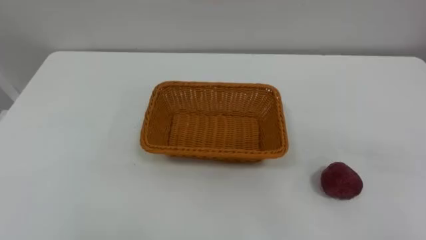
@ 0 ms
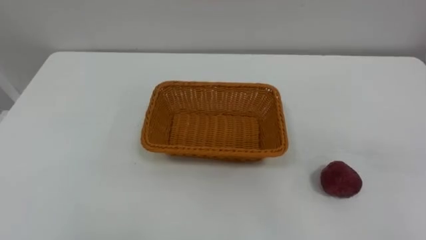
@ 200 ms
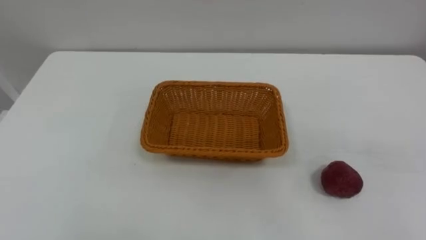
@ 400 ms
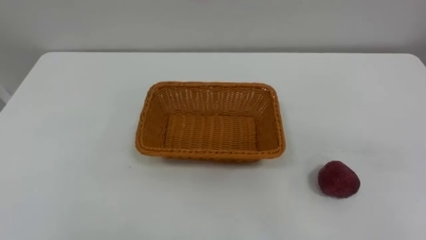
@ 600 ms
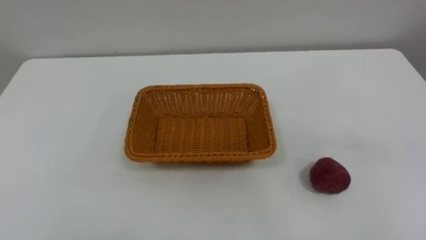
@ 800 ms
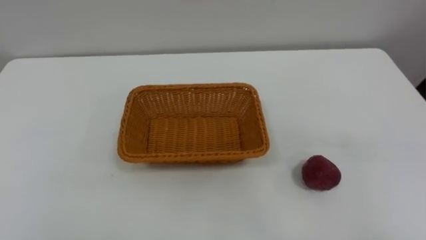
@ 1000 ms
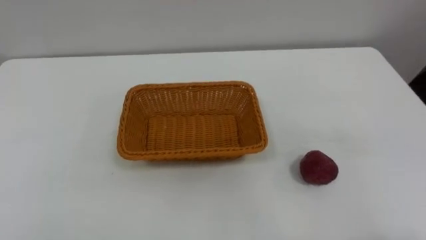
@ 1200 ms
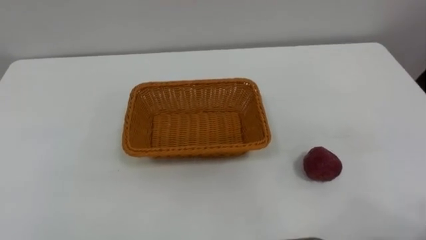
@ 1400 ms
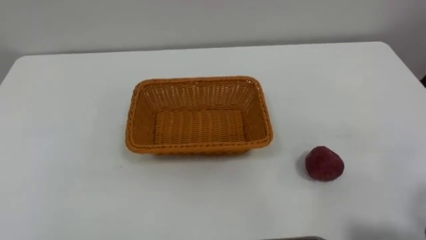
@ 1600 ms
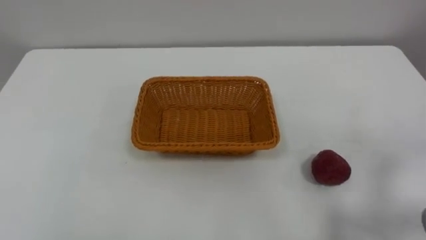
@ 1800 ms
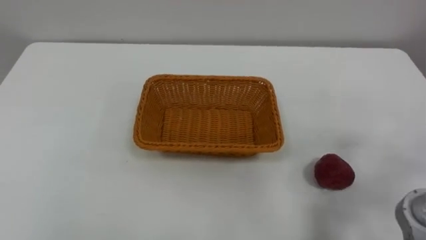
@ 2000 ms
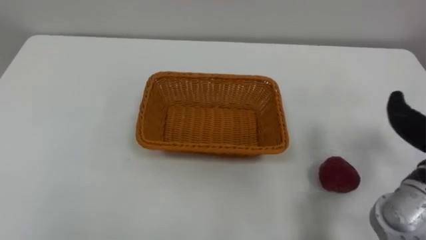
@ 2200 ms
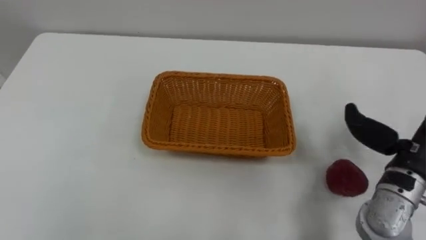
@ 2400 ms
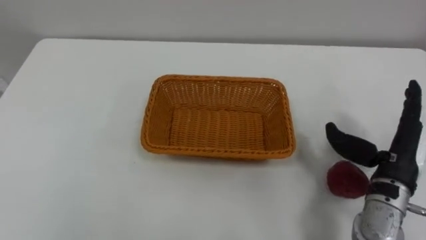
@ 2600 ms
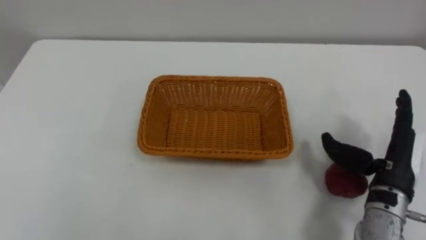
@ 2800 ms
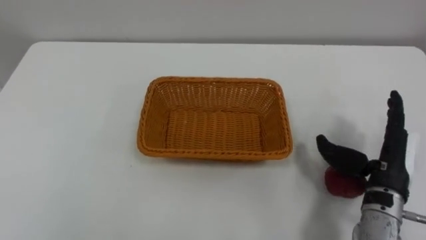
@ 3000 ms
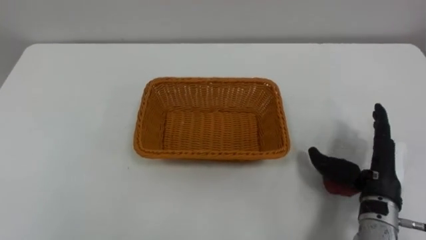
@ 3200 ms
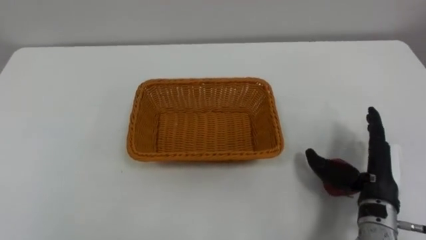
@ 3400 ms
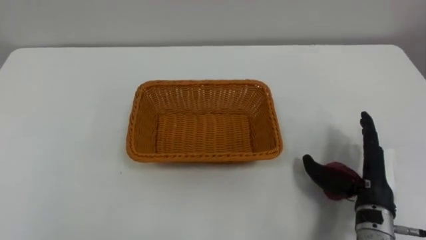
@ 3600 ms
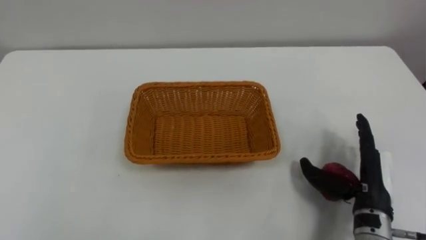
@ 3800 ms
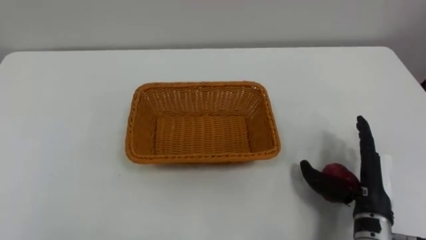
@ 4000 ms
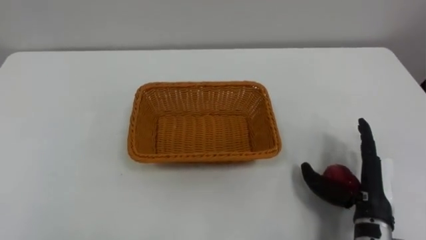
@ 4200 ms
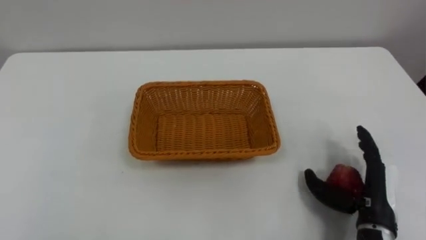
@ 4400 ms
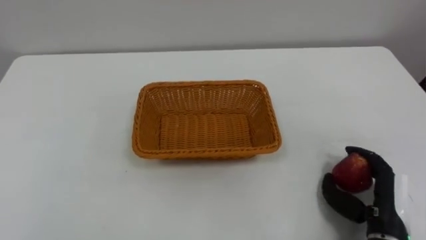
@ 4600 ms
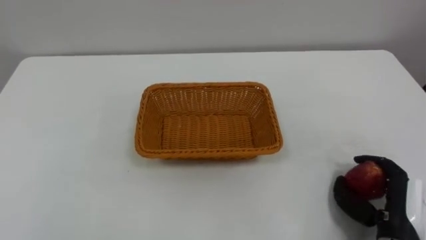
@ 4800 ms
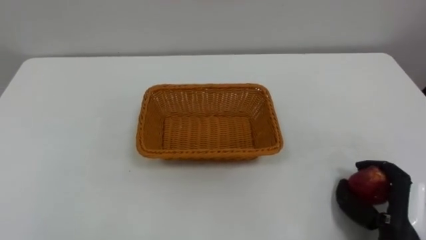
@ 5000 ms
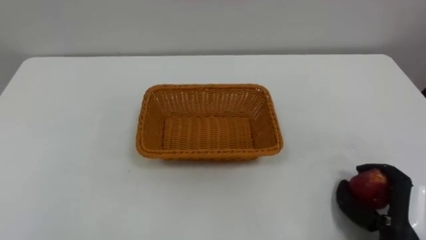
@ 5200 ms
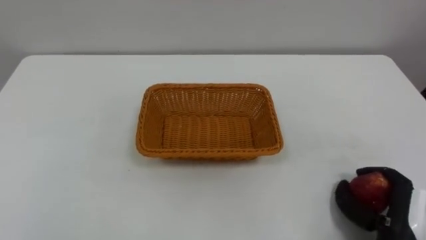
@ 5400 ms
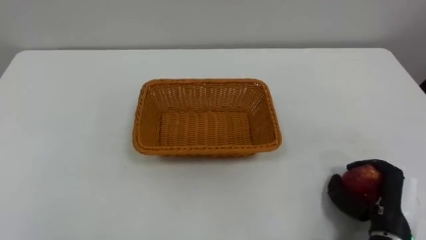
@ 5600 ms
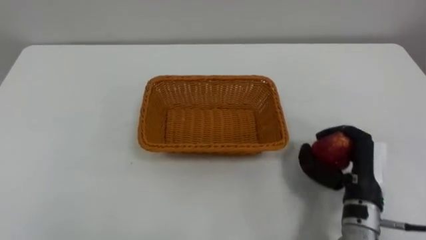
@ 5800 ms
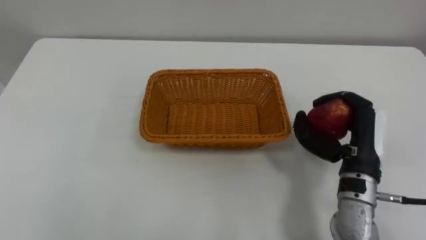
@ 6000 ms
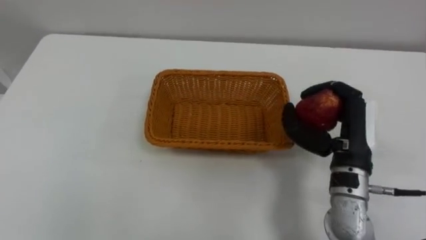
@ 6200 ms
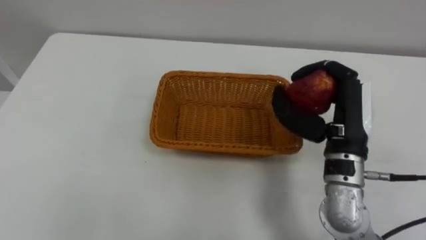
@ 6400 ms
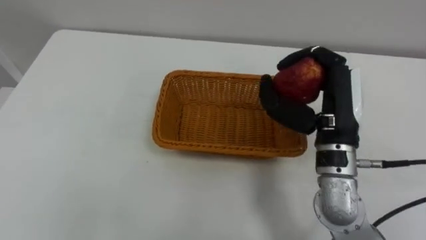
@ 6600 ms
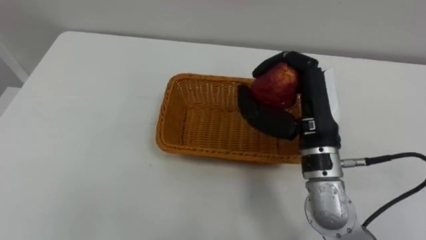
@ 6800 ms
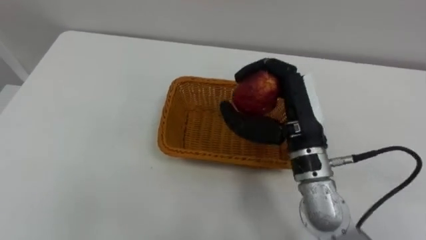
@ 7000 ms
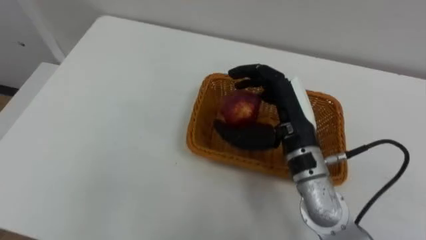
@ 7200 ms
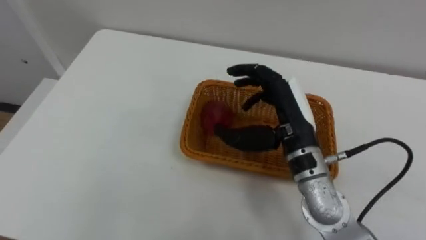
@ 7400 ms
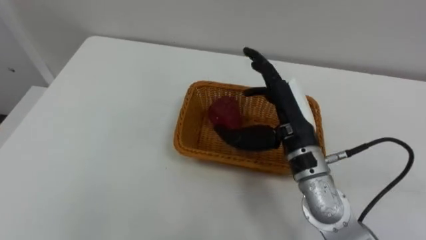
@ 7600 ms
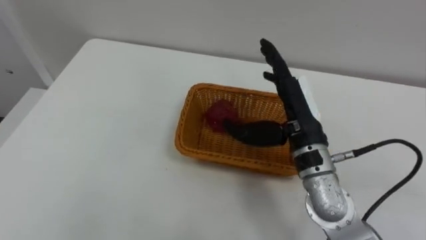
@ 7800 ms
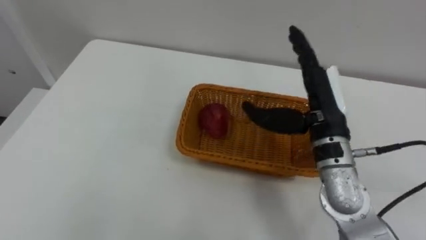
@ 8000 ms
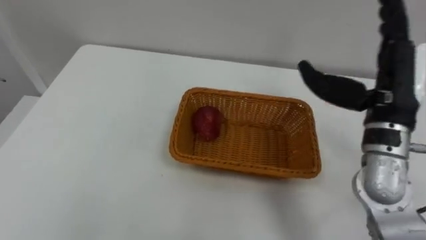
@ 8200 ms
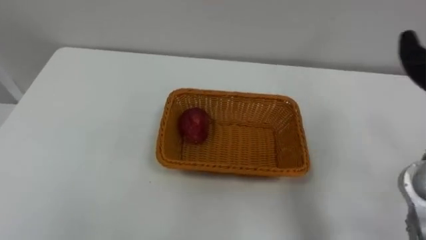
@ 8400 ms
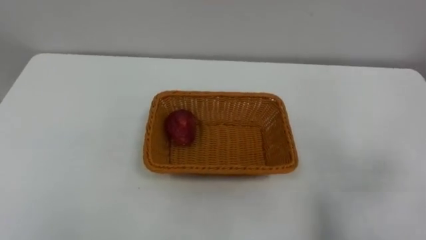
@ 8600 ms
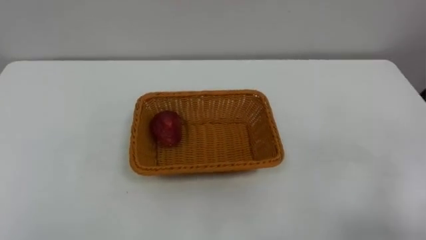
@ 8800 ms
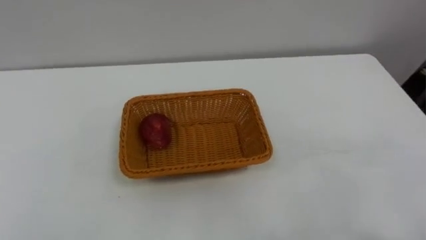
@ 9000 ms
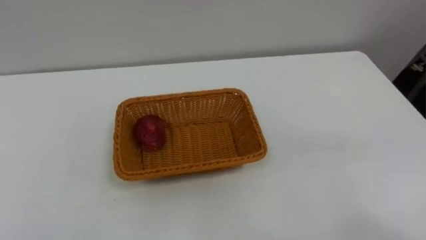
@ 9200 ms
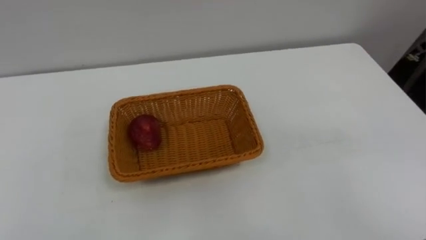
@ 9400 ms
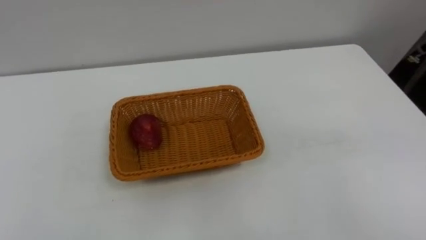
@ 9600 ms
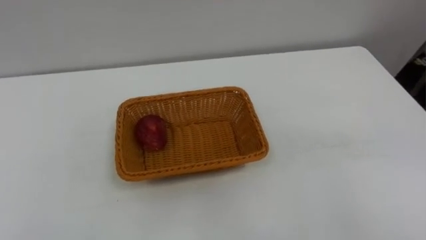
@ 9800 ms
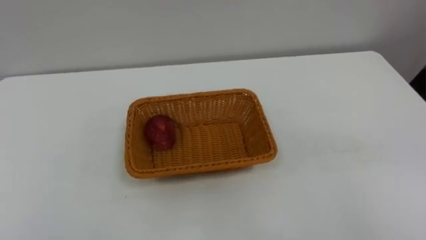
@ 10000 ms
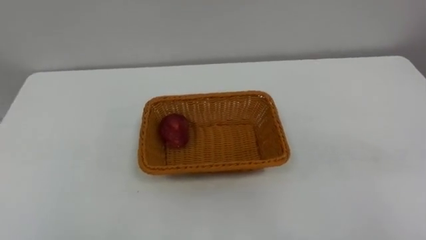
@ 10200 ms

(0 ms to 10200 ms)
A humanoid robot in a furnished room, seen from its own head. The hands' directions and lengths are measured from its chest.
Task of the whole recording: Pick the apple and place it in the box.
3000 ms - 4400 ms: The right hand heads downward, covering about 5 cm.
4400 ms - 5800 ms: The right hand closes up.
5800 ms - 7200 ms: The right hand is displaced to the left, upward and forward by approximately 20 cm.

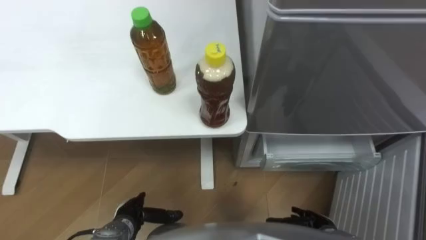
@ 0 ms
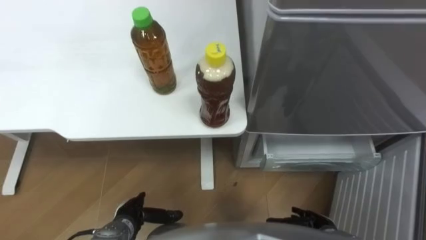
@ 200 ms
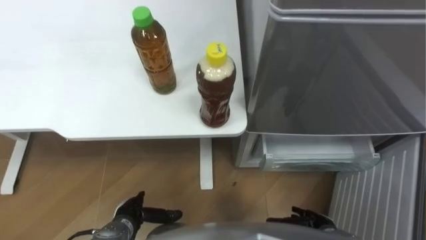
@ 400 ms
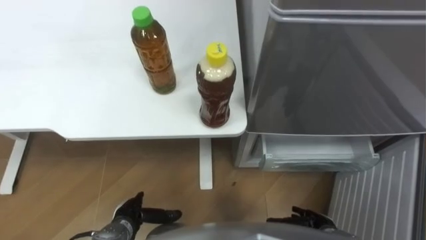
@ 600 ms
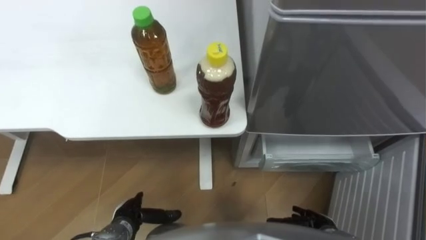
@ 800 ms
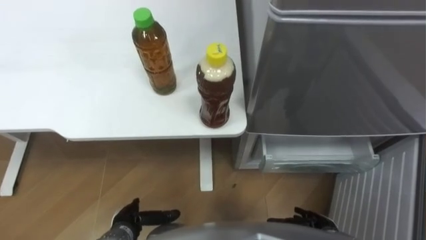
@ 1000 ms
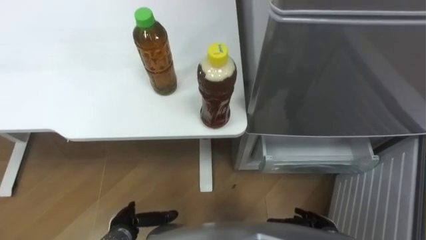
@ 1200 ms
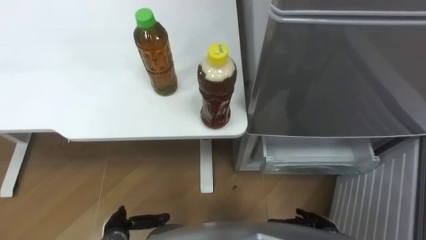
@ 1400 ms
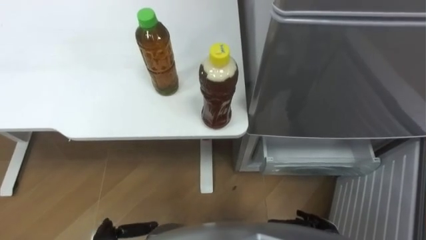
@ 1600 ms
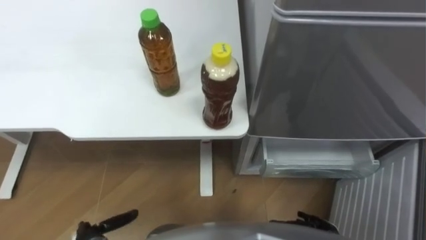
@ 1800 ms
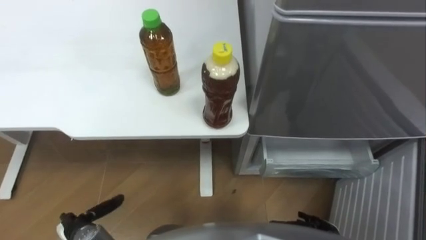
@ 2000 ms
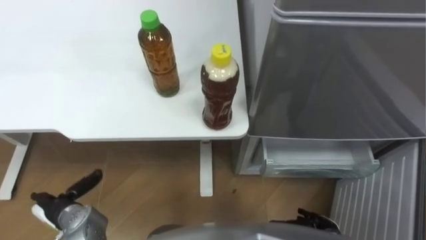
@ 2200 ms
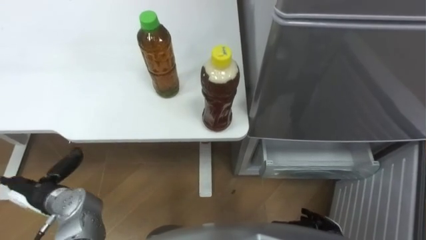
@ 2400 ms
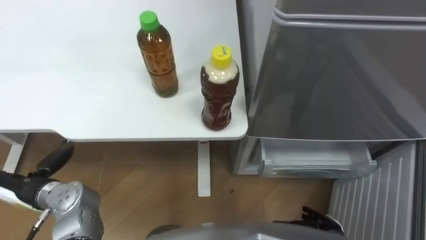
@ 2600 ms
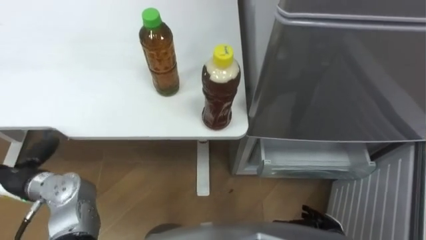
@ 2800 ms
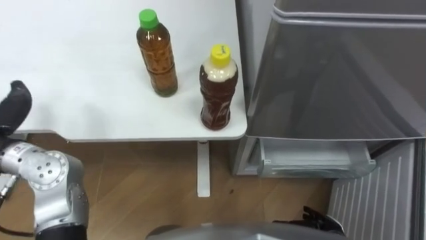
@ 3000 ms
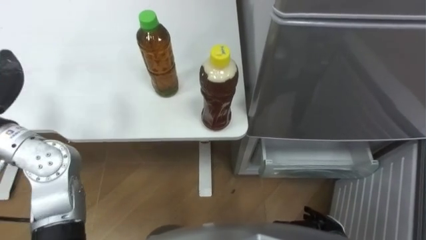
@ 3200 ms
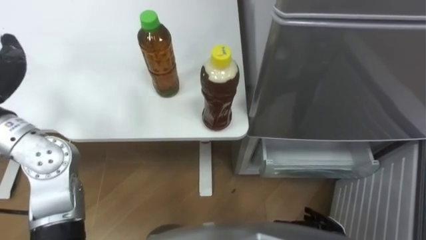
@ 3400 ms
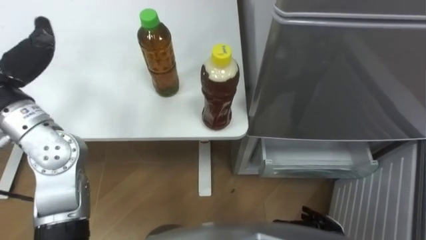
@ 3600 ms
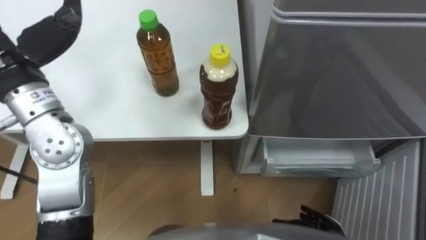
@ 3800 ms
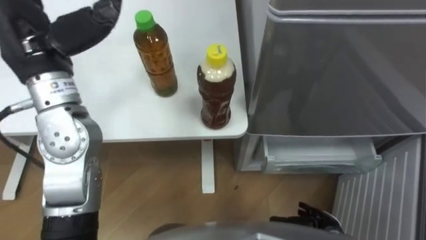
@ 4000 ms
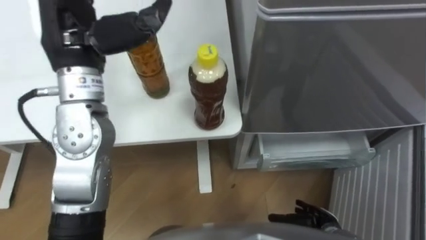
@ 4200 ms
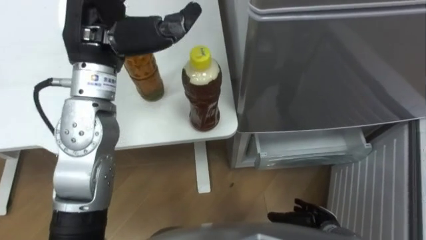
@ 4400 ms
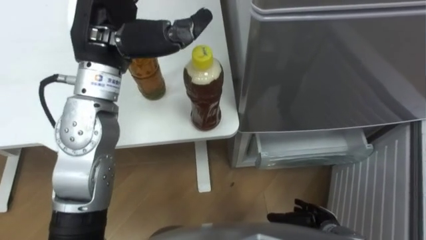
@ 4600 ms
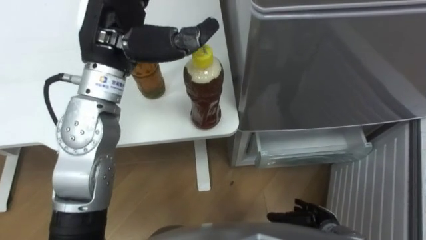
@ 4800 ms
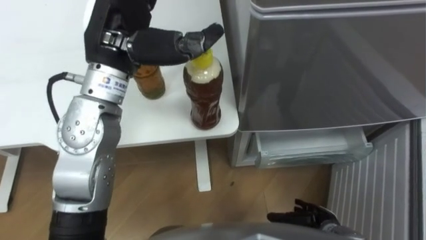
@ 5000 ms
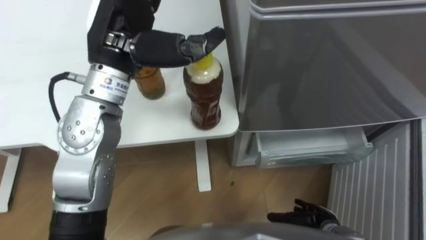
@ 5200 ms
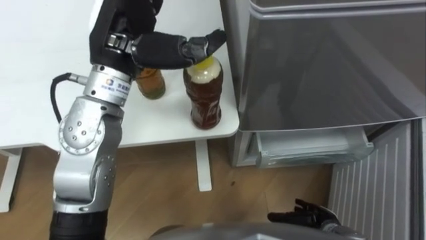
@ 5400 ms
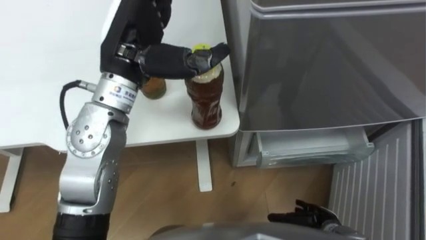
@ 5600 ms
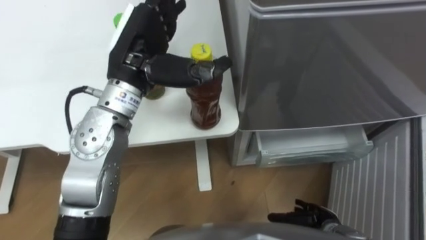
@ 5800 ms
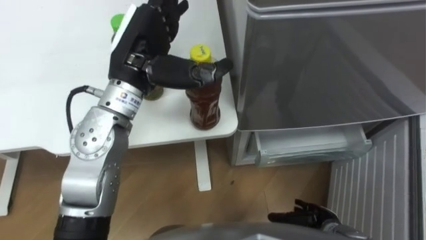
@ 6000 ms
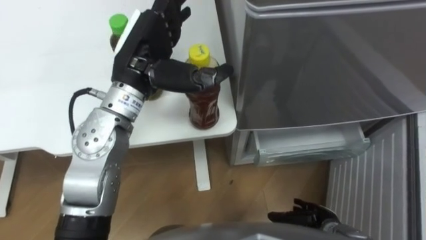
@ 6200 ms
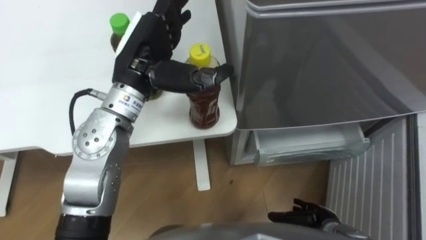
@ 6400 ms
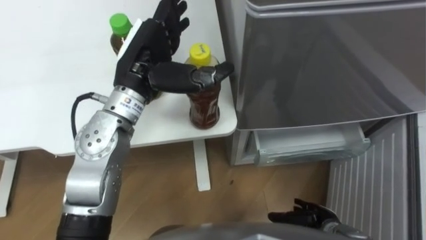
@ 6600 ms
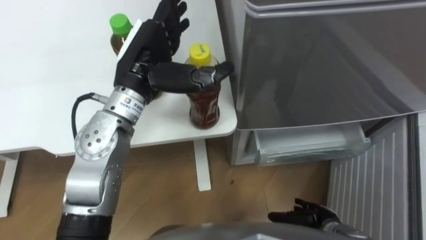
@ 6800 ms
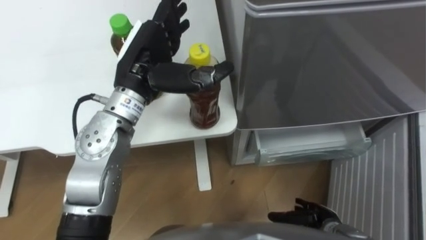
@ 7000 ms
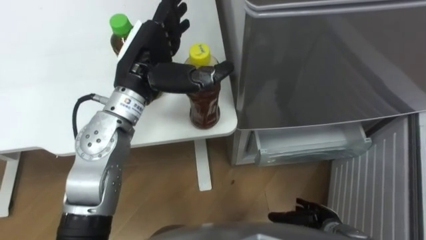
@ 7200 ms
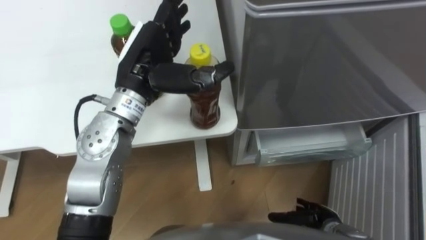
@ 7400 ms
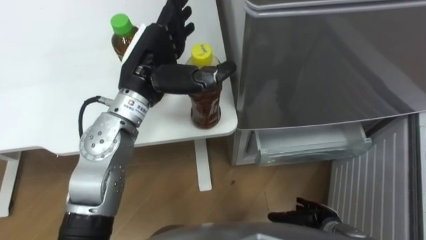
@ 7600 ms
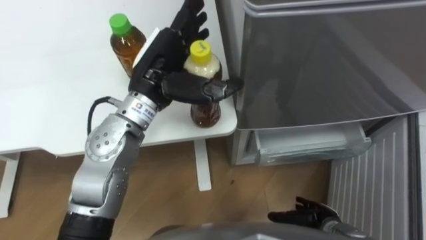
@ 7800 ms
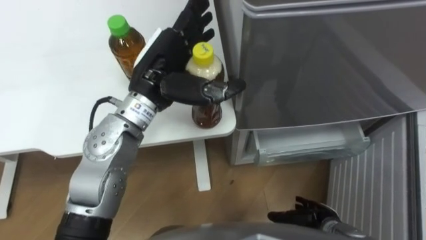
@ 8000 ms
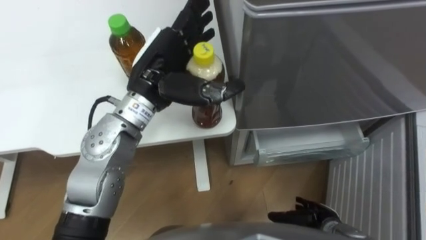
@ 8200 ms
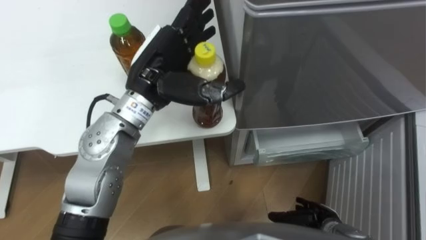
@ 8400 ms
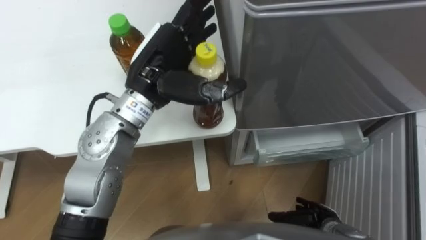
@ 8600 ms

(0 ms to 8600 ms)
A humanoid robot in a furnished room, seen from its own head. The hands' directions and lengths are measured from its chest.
Task of the whole recording: Place the drink on the table on the bottom shelf of the refrigerator, then close the drawer and the refrigerator door.
4400 ms - 5800 ms: The left hand ends up some 5 cm from where it was.
5800 ms - 8600 ms: The hands stay close to where they were, moving slightly.
